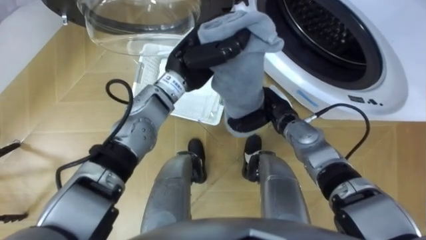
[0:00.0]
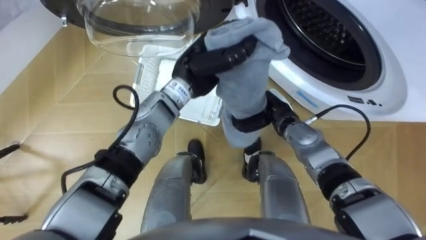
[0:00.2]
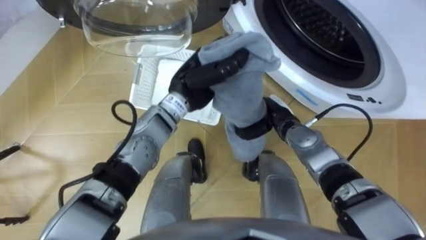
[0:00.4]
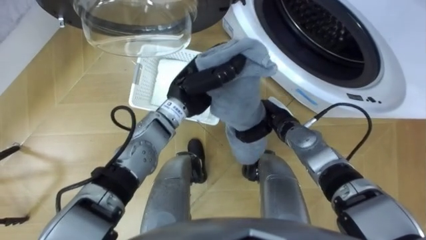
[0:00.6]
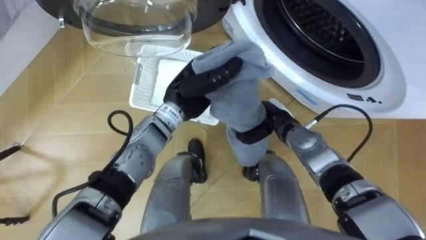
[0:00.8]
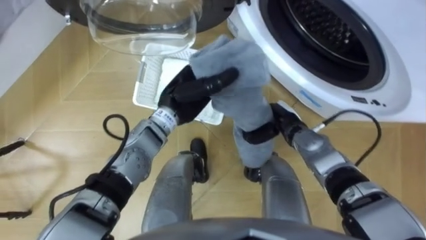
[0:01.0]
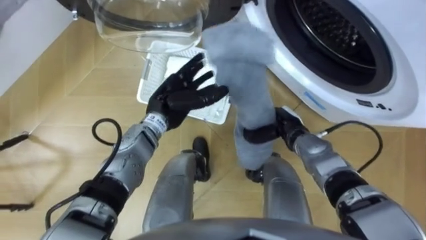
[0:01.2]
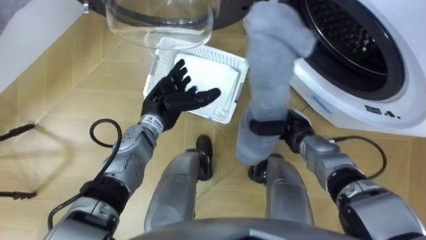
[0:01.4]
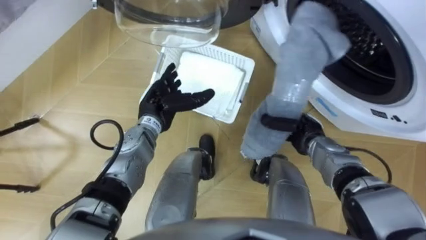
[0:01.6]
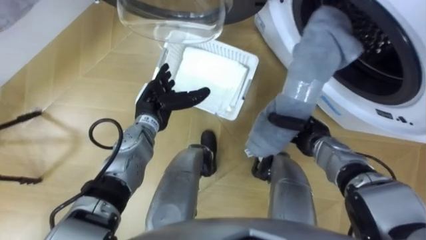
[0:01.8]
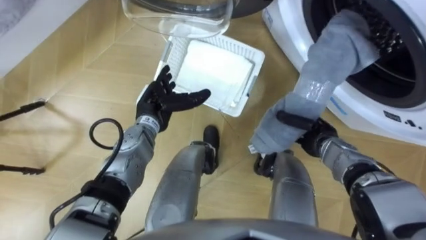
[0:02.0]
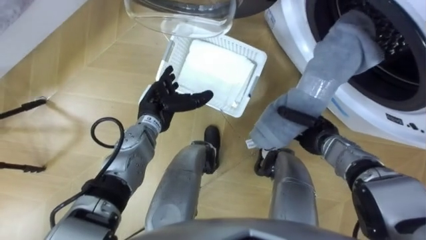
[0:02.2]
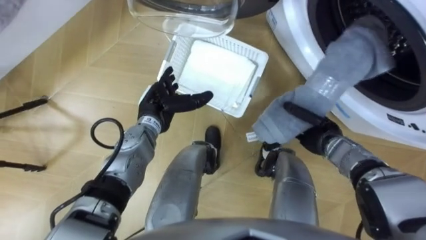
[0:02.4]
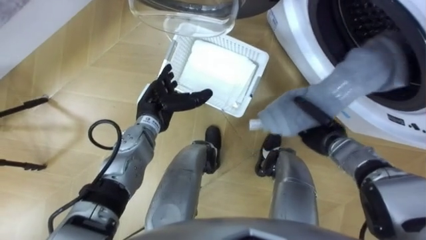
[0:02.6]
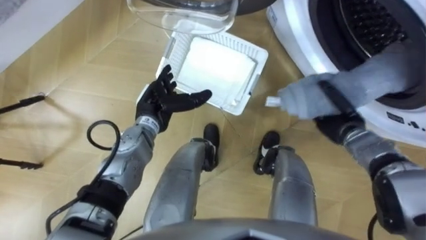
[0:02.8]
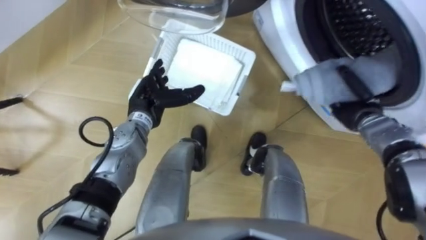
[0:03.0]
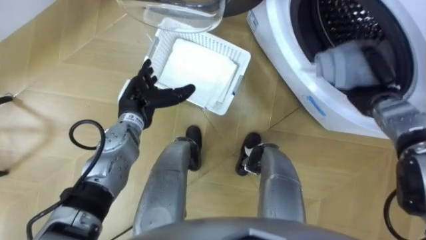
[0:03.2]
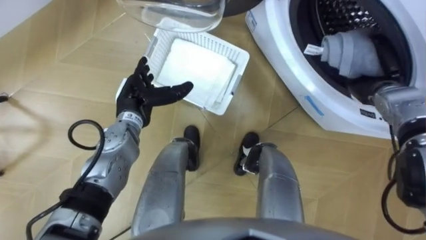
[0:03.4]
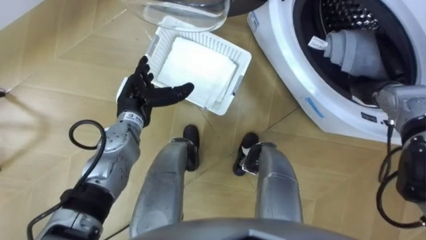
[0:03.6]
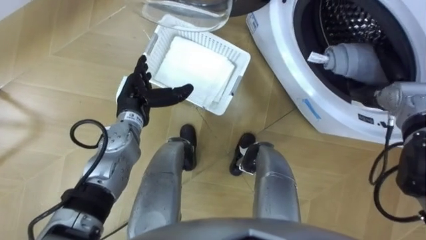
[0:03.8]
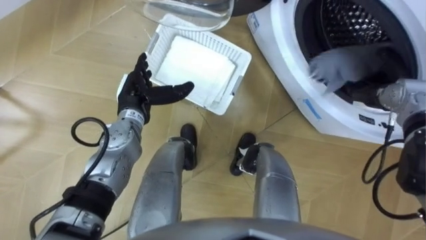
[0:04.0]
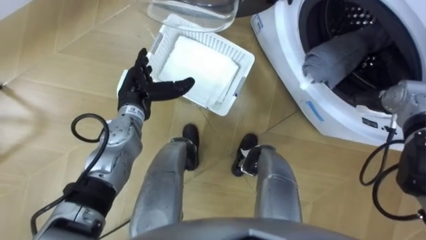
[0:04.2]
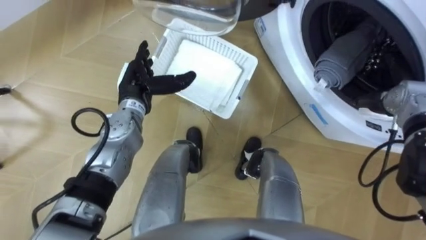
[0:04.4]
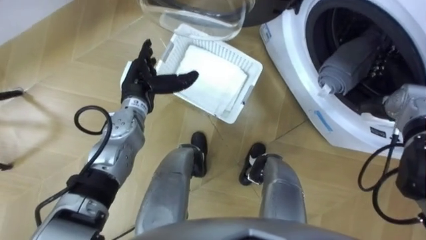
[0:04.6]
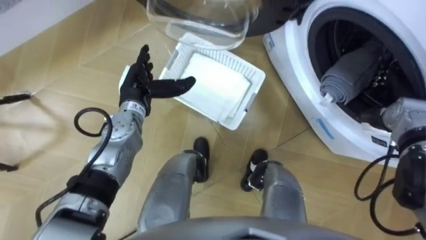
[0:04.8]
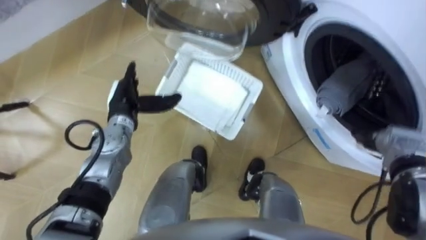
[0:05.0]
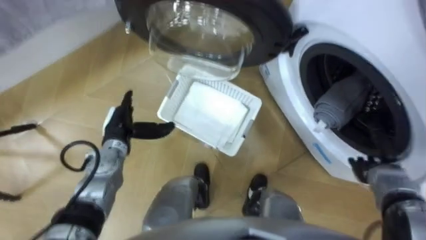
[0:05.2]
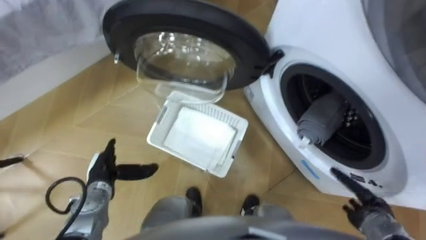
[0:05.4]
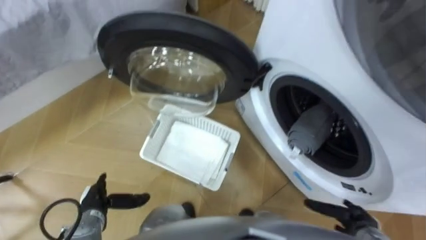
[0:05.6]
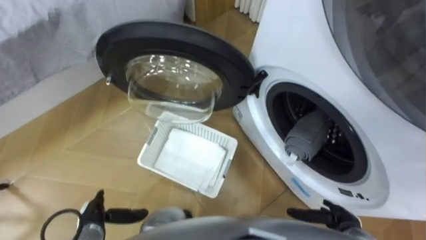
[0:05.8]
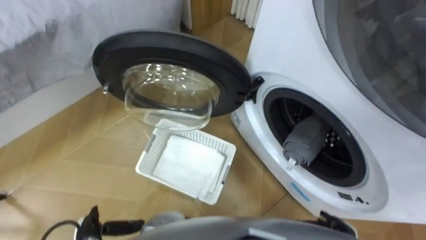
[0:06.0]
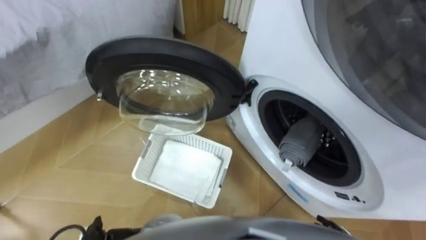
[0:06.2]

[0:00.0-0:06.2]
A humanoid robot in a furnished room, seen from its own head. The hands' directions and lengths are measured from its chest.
Task of the whole recording: Take the towel from the basket and put it into the washing machine.
0:00.0 to 0:01.6: The right hand heads to the right and downward, covering approximately 10 cm, and closes its fingers. Meanwhile the left hand moves downward and to the left, approximately 15 cm, and opens its fingers.
0:01.6 to 0:03.2: The right hand shifts roughly 15 cm to the right and upward.
0:03.2 to 0:04.6: The right hand opens its fingers.

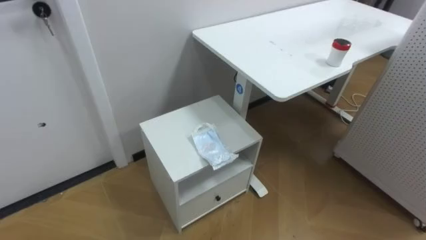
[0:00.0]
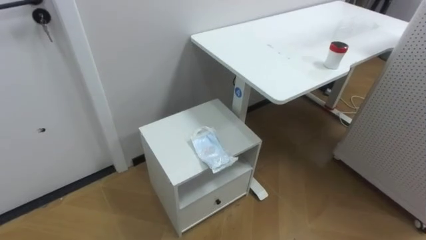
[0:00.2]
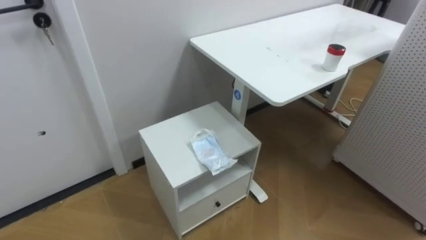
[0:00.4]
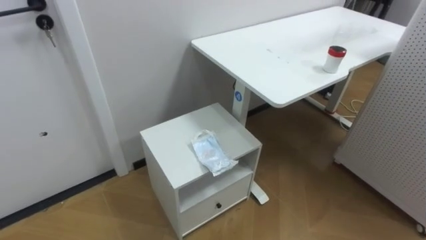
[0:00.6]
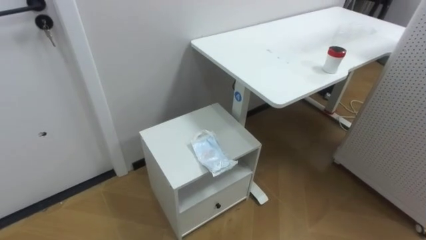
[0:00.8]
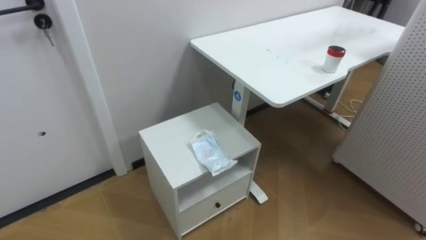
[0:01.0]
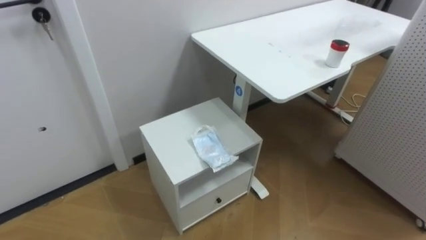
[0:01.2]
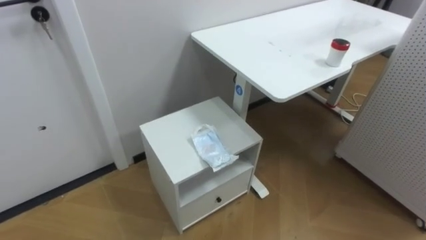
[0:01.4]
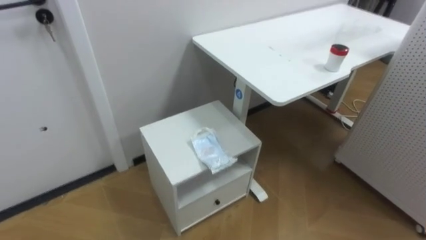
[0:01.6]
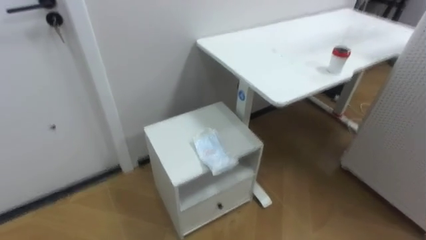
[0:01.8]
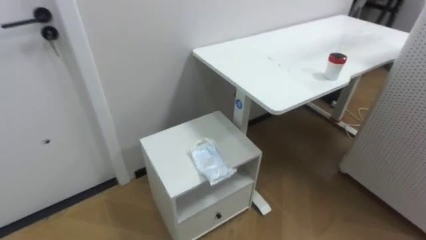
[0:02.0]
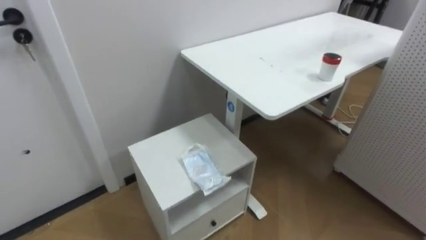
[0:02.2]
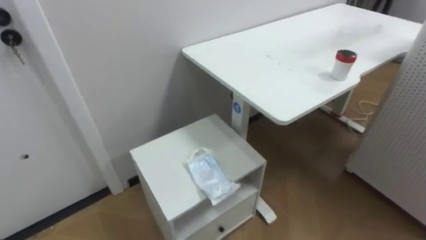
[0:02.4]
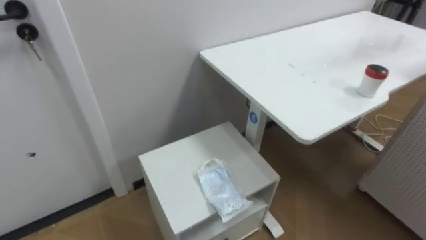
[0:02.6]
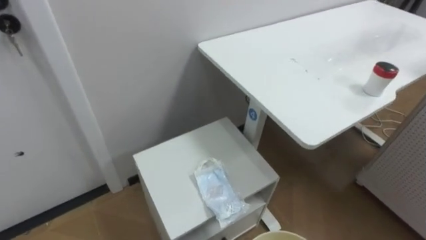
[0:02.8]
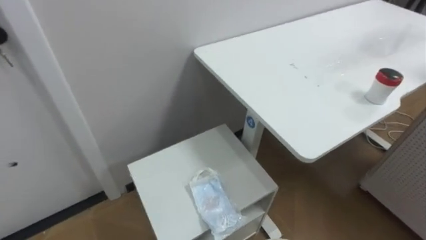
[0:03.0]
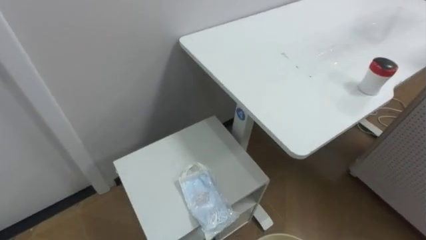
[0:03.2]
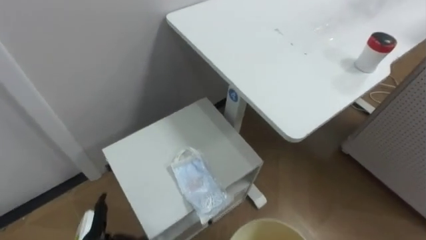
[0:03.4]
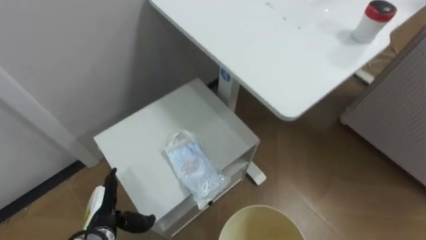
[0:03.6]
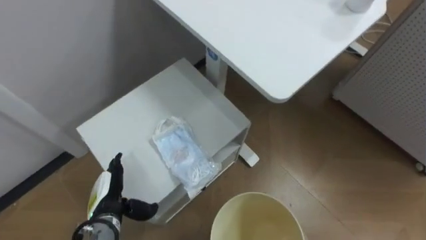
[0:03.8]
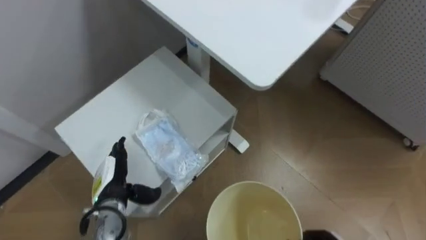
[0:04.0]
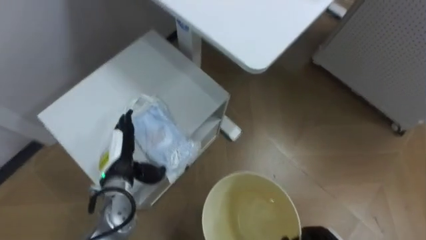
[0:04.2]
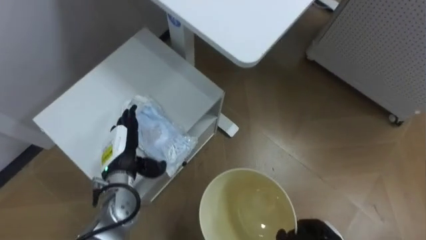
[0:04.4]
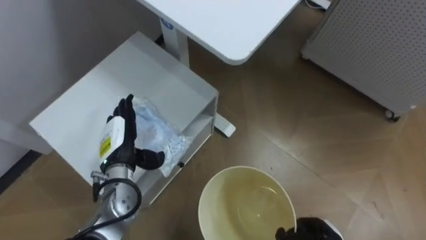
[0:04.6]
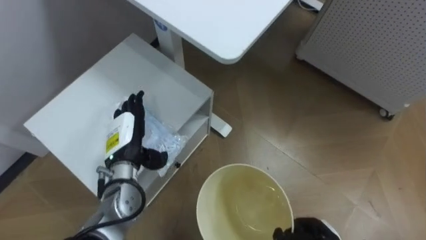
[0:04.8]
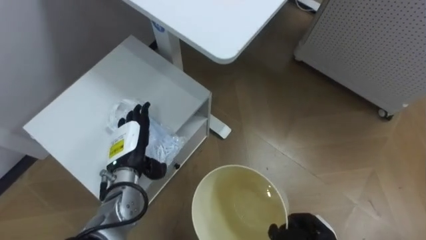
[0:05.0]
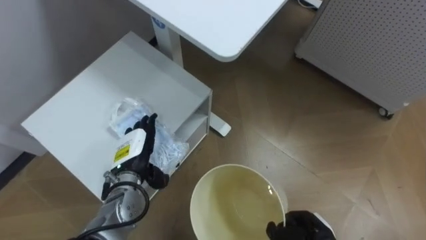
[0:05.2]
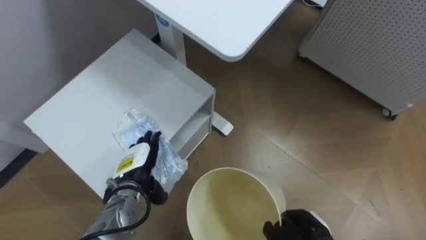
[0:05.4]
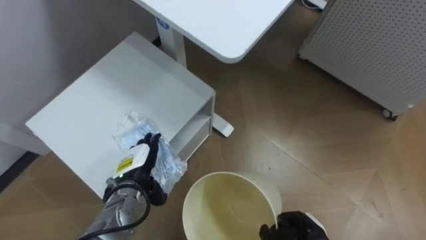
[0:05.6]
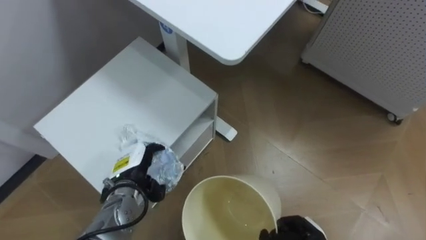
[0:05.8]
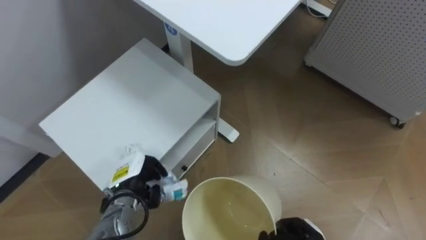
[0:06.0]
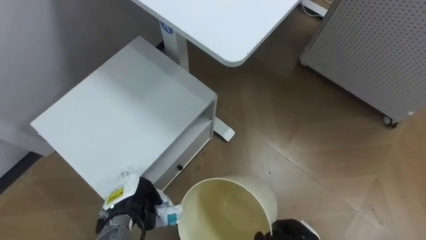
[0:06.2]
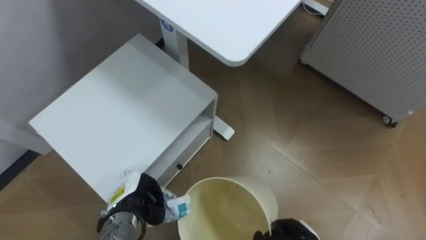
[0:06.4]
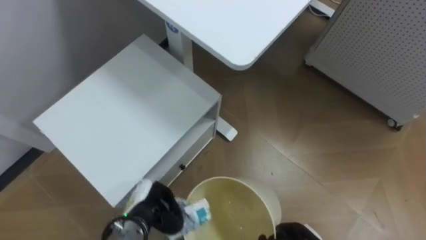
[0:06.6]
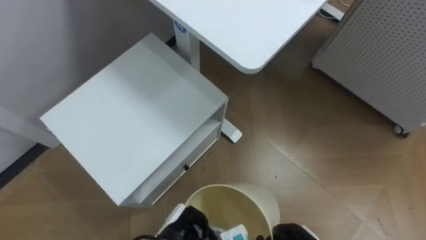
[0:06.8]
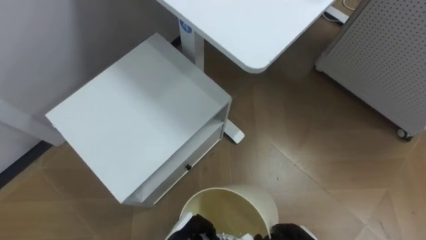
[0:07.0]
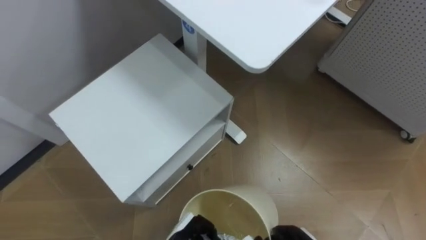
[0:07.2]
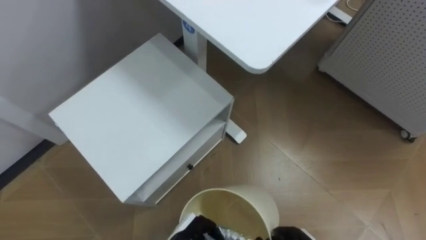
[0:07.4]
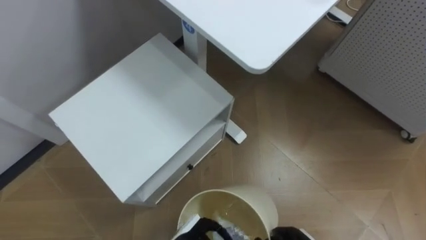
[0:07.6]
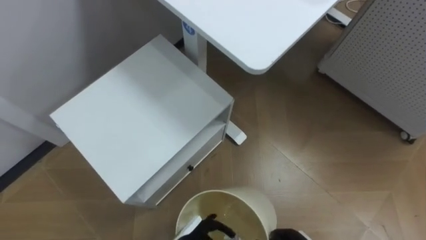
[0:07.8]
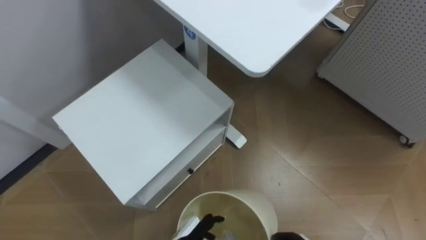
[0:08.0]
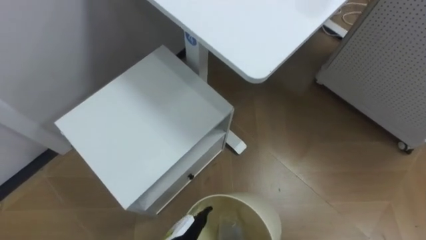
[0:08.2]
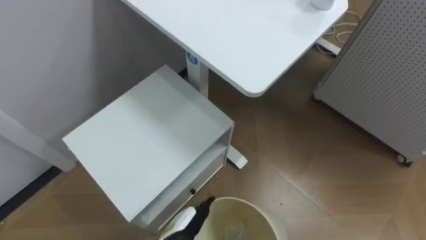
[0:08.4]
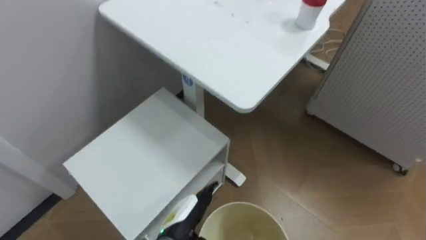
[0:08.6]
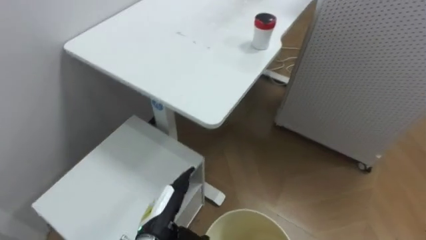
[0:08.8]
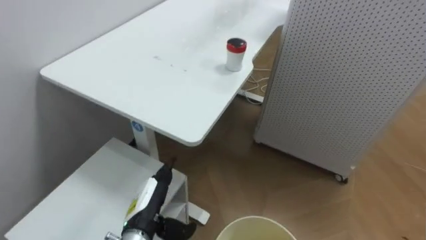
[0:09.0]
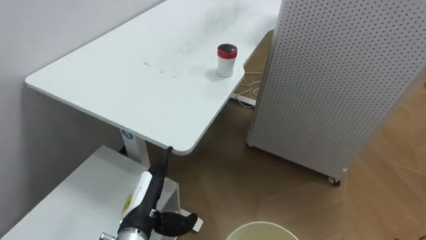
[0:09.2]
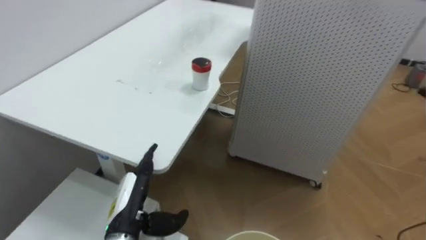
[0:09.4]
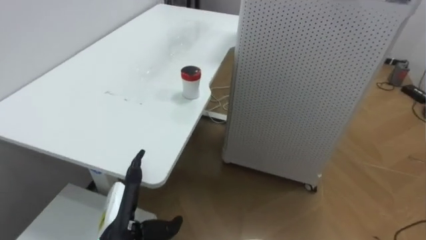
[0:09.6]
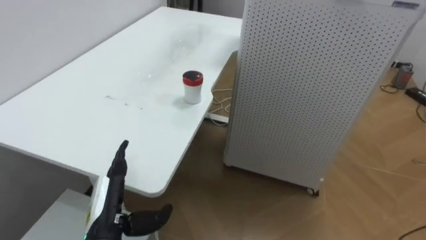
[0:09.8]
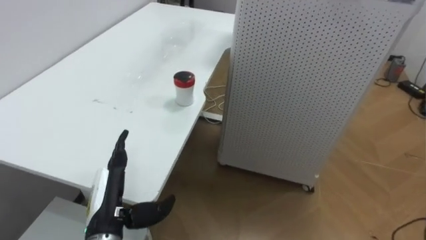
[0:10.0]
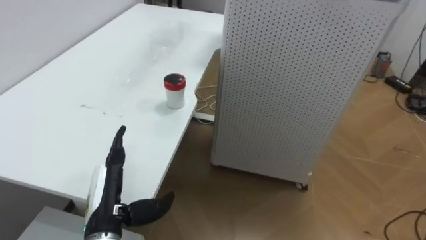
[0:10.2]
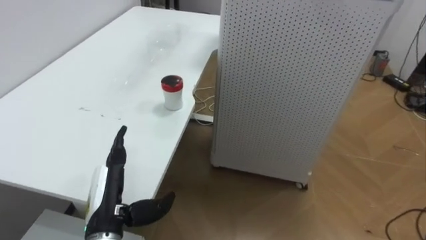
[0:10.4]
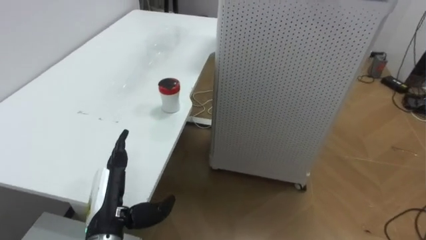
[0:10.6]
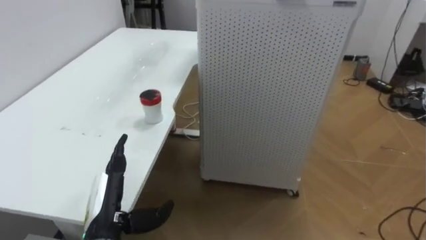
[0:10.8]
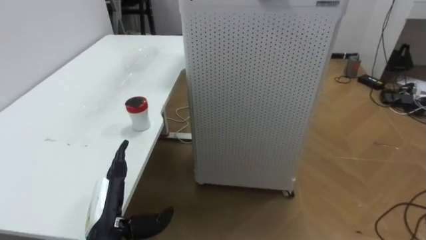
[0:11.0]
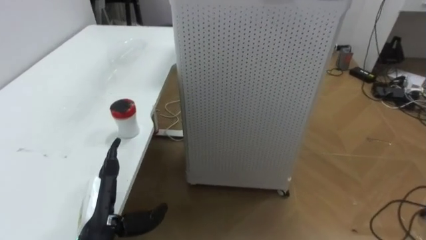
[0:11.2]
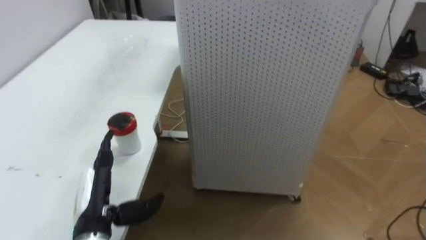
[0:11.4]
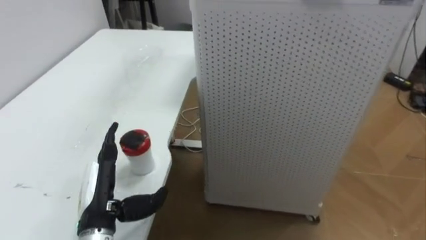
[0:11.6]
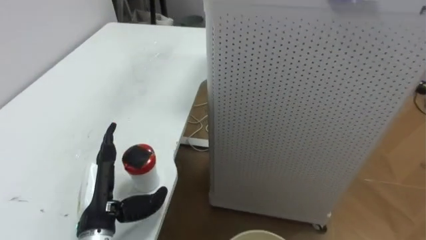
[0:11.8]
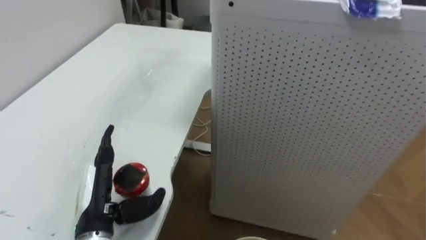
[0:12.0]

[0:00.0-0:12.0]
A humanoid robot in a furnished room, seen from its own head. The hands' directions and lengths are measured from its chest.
Task of the whole recording: Pick up the light blue package, the candy box, and the dark blue package separately, and put them into the trash can held in your right hand.
0:04.4 to 0:06.0: The left hand ends up roughly 5 cm from where it was, and closes.
0:06.0 to 0:07.6: The left hand is displaced to the right, backward and downward by some 20 cm, and closes, then reopens.
0:09.0 to 0:10.4: The robot faces approximately 20 degrees further to its right. The left hand shifts some 10 cm upward and to the left.
